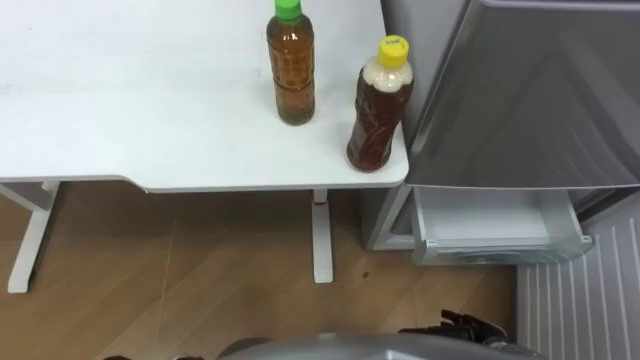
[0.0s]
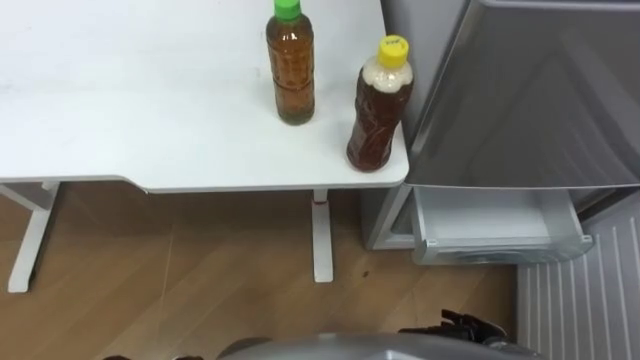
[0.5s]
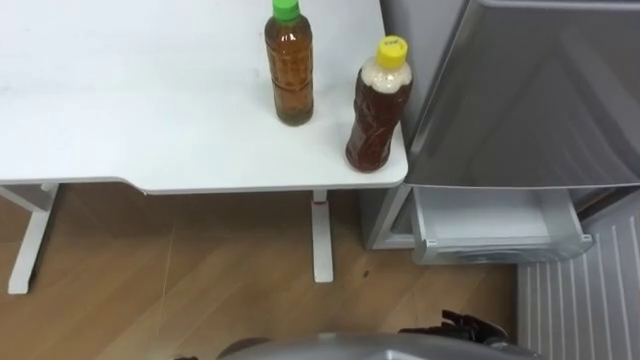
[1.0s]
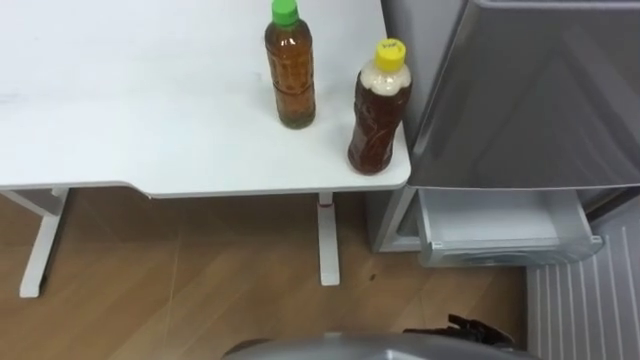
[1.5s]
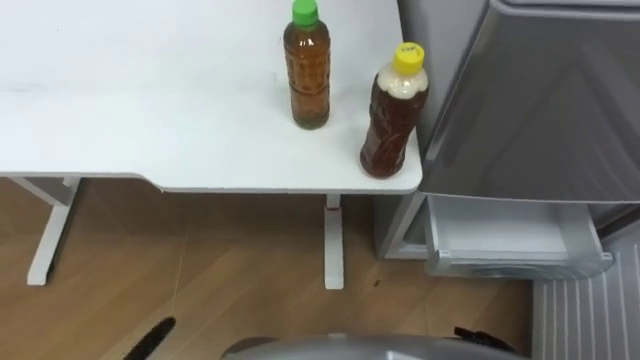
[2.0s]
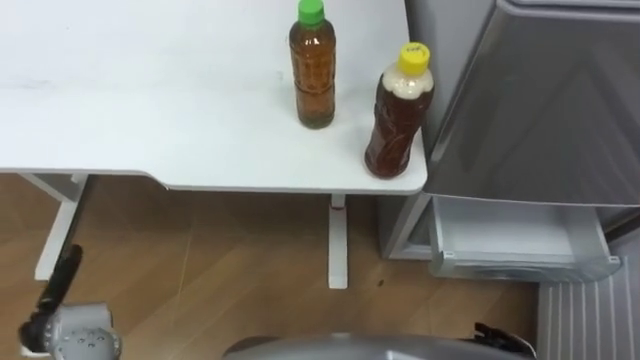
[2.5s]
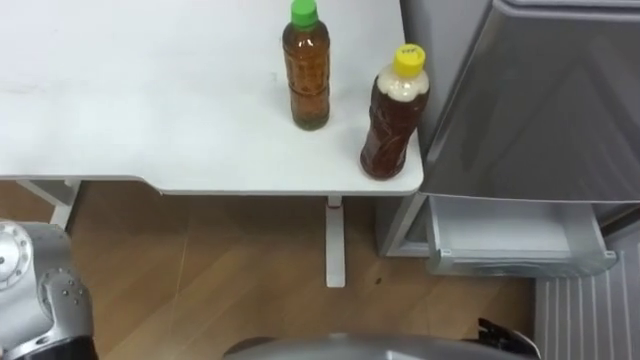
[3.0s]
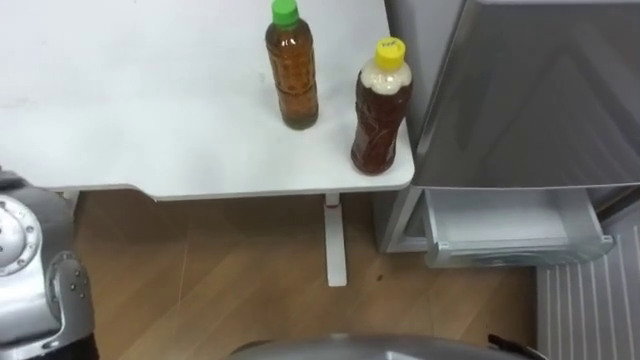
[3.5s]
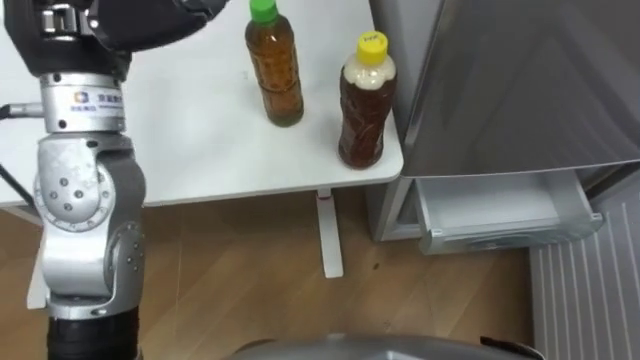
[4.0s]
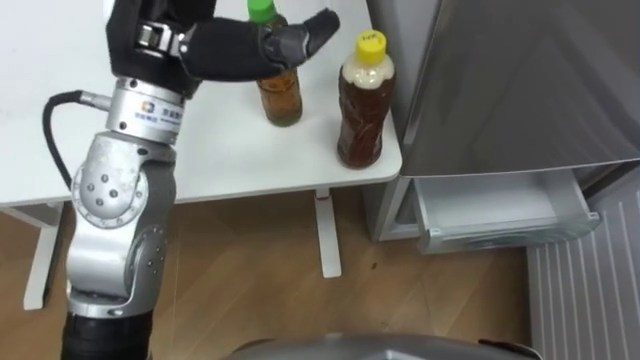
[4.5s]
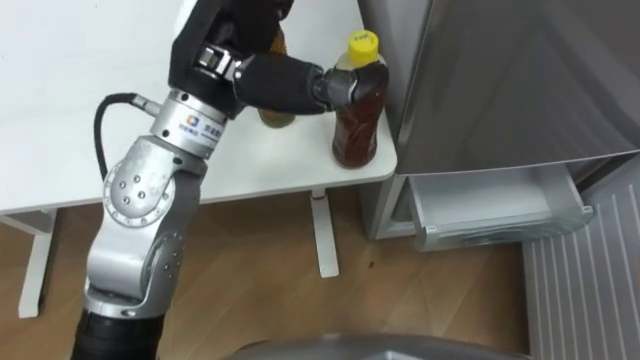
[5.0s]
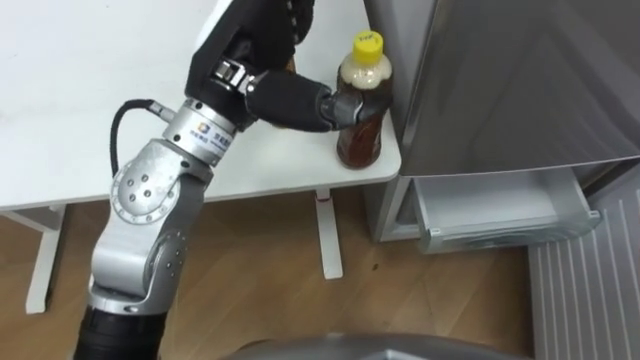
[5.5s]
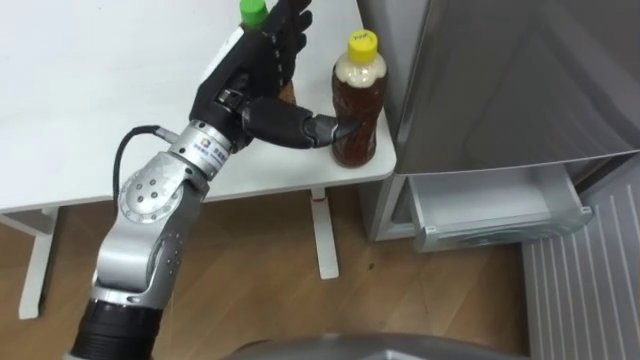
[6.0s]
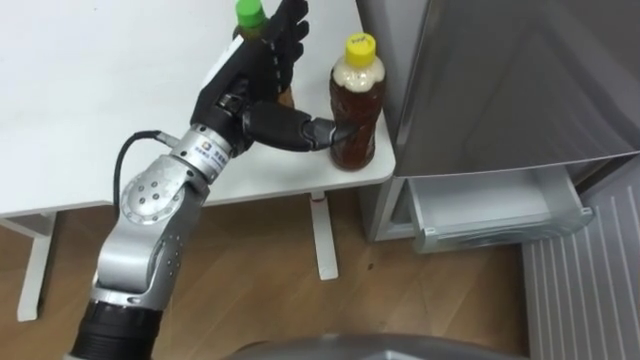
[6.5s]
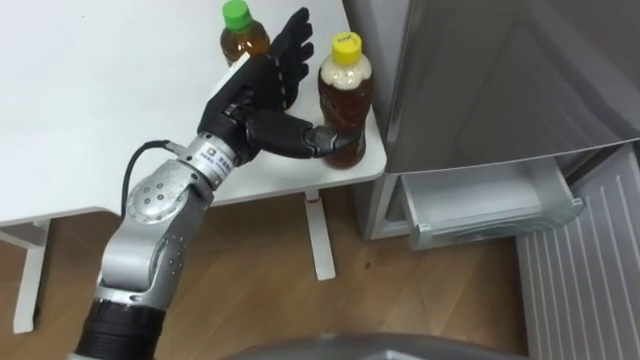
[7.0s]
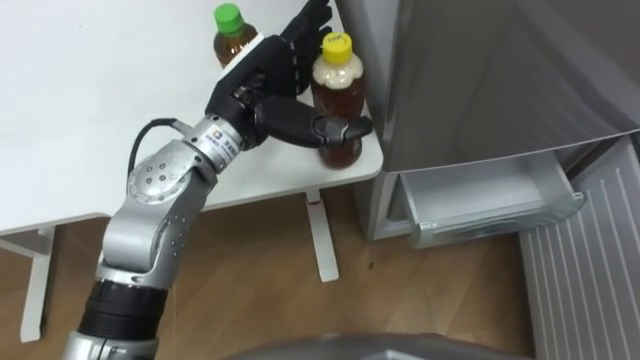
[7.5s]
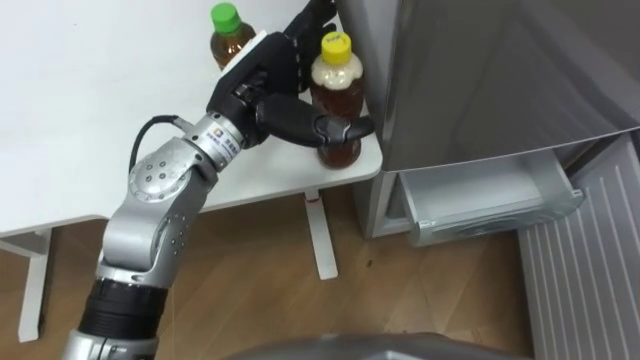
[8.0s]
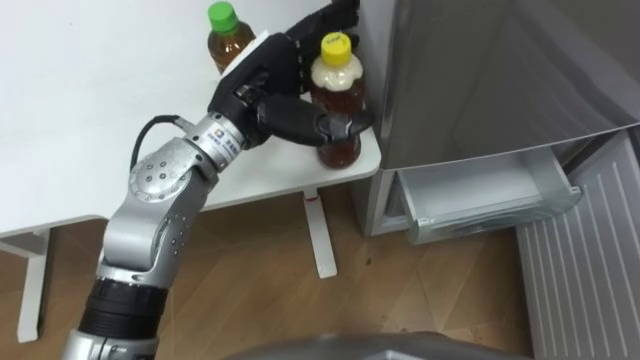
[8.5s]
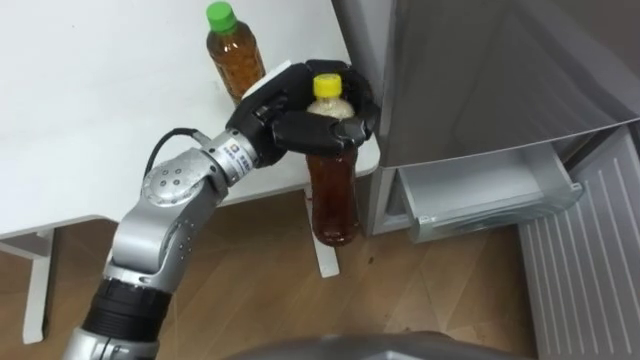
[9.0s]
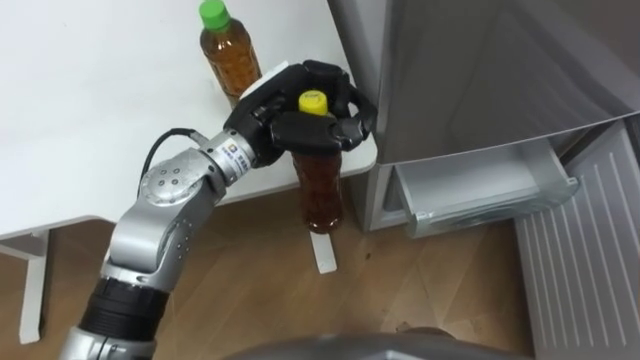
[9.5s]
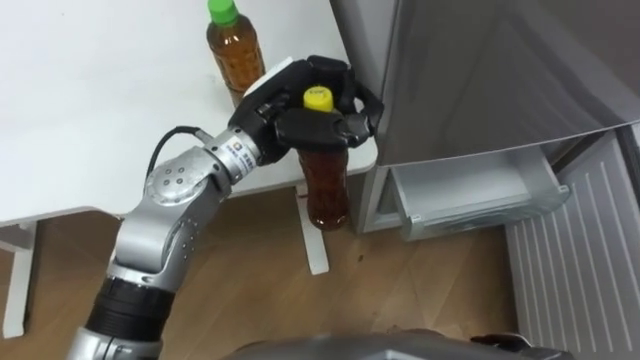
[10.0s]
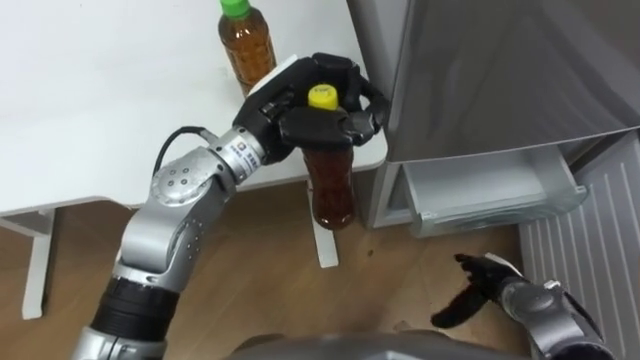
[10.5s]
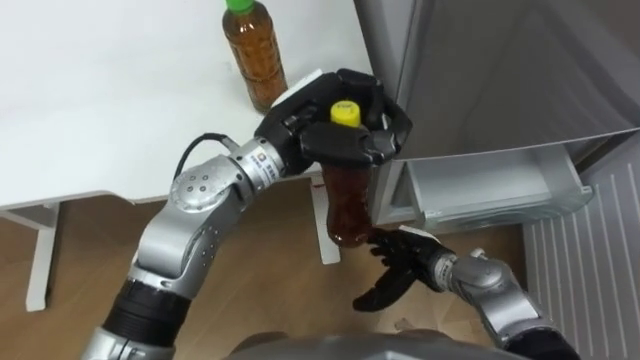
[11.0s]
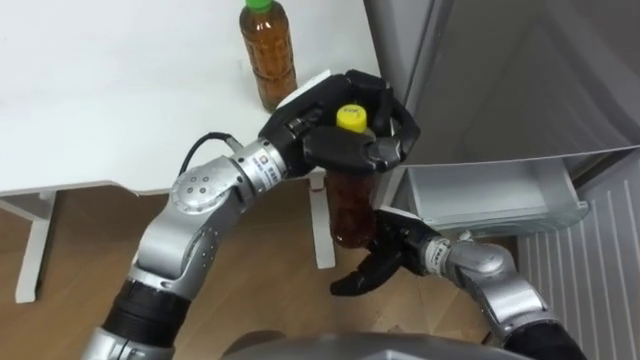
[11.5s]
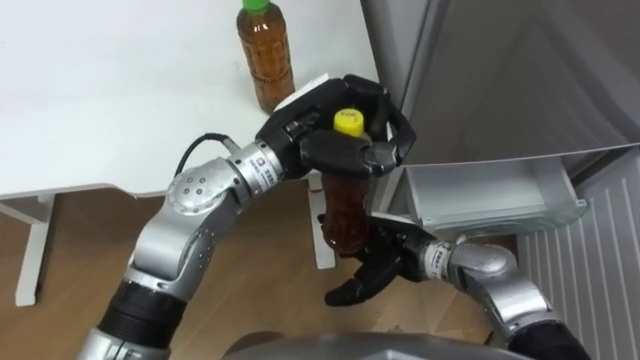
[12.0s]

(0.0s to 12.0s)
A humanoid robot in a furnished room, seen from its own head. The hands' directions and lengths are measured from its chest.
Task of the whole recording: Place the drink on the table on the bottom shelf of the refrigerator, then close the drawer and the refrigerator door.
4.0s - 6.0s: The left hand travels downward and to the right by approximately 15 cm.
8.0s - 10.0s: The left hand closes its fingers.
10.0s - 12.0s: The right hand travels to the left, forward and upward by approximately 25 cm.

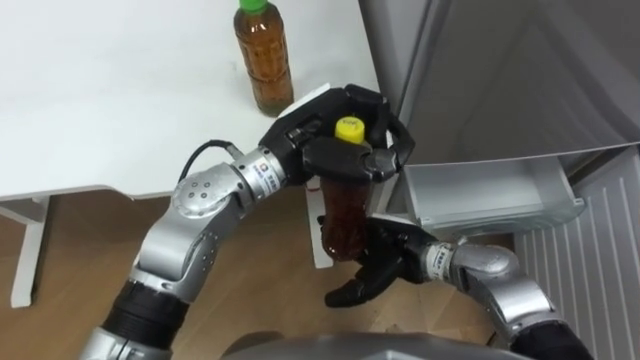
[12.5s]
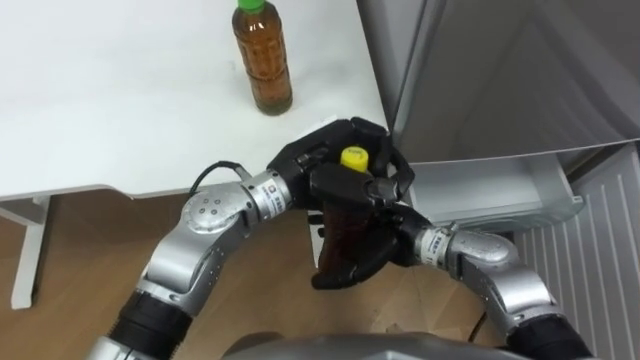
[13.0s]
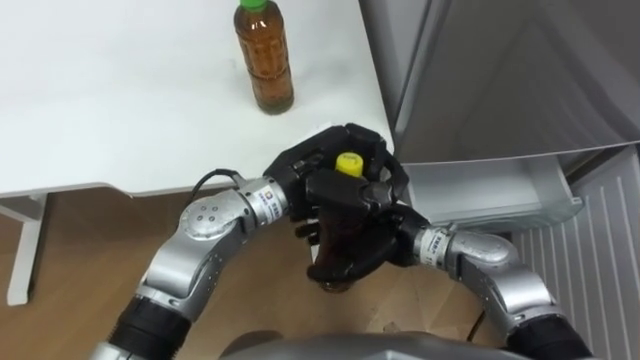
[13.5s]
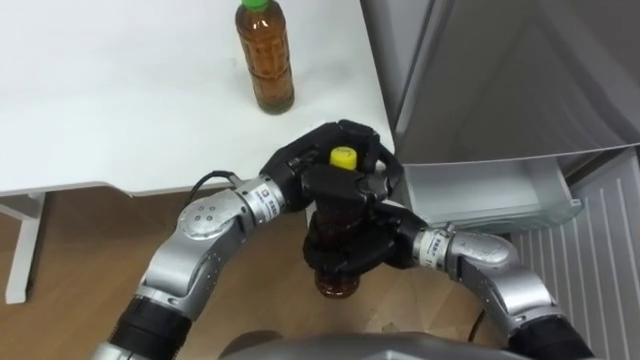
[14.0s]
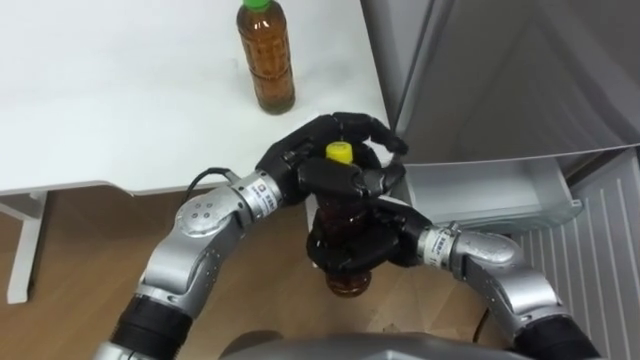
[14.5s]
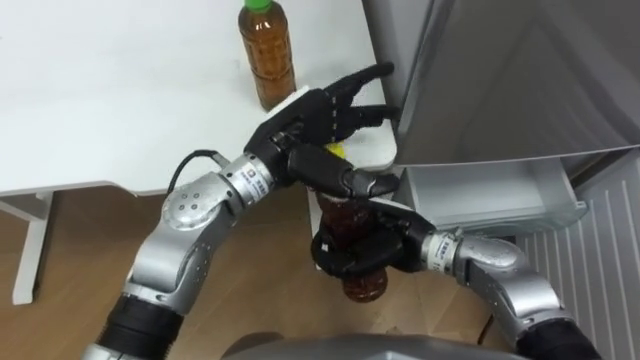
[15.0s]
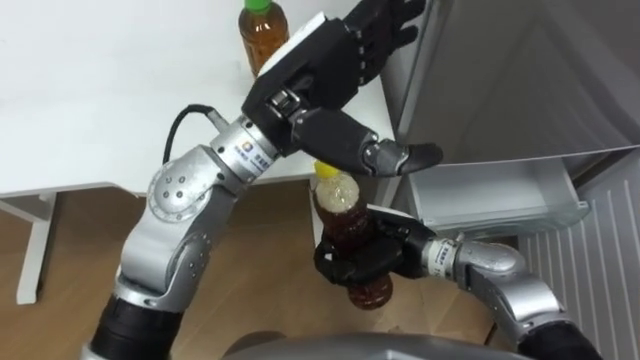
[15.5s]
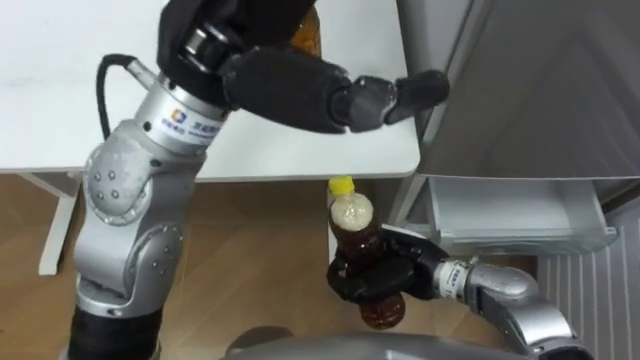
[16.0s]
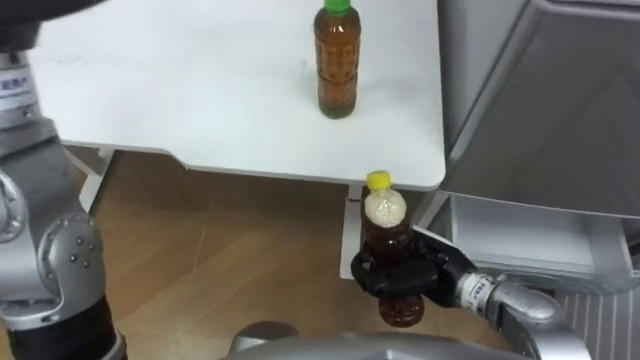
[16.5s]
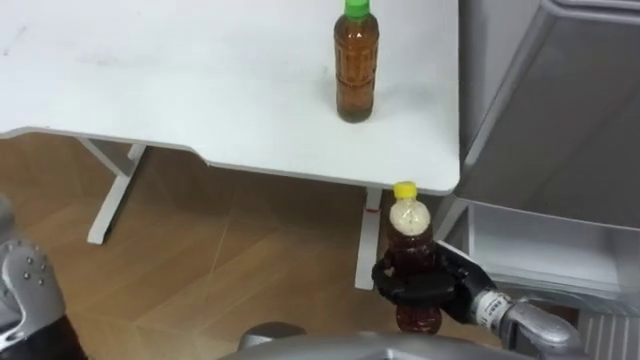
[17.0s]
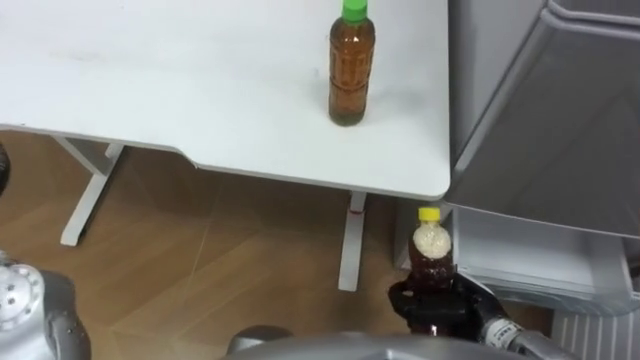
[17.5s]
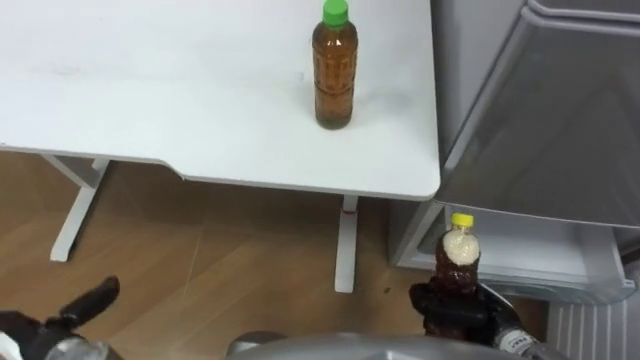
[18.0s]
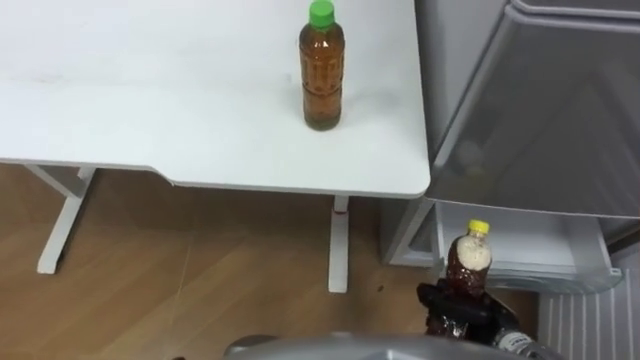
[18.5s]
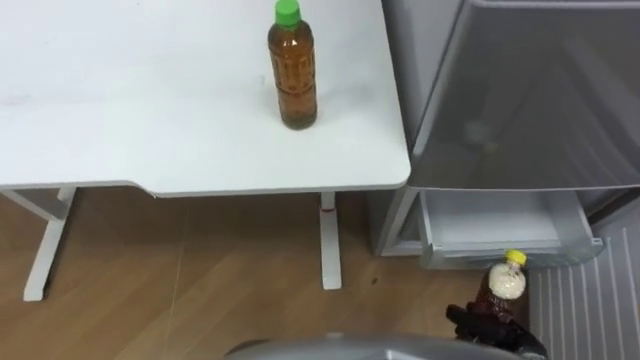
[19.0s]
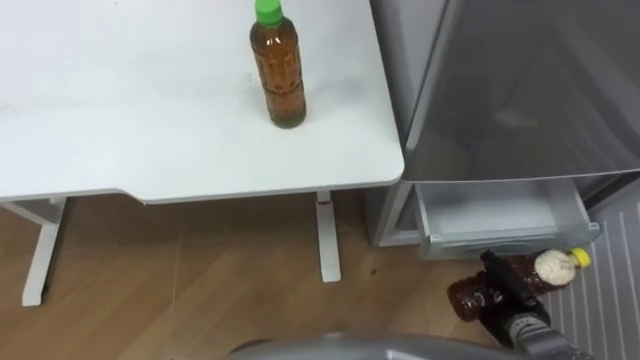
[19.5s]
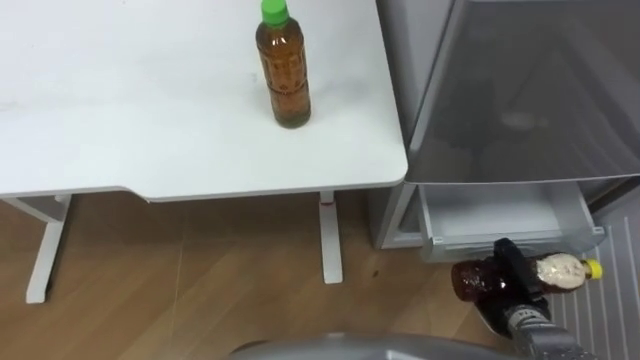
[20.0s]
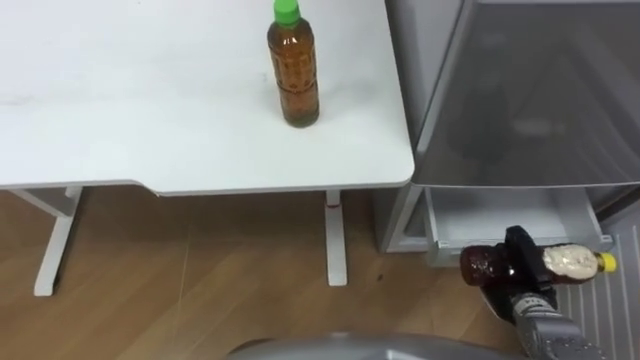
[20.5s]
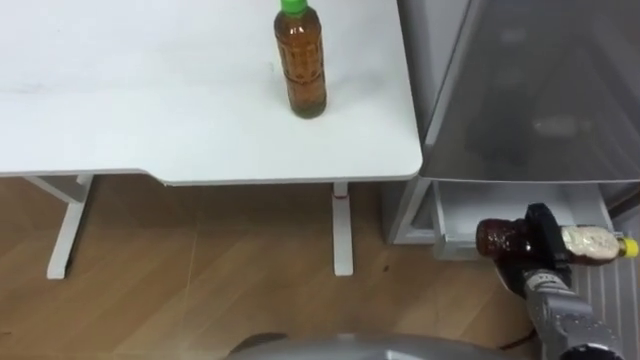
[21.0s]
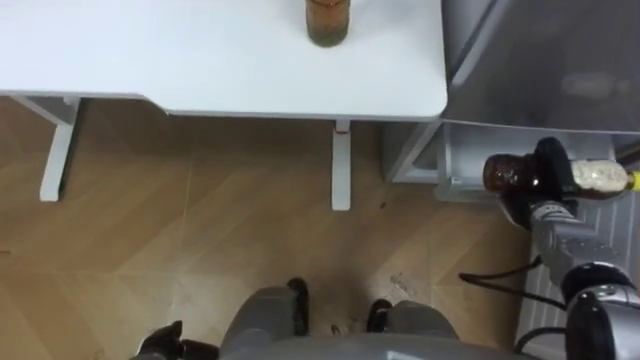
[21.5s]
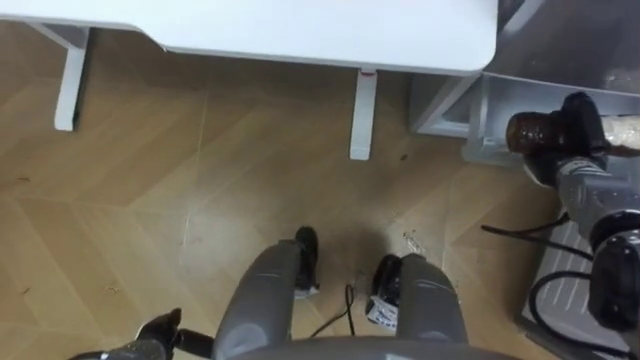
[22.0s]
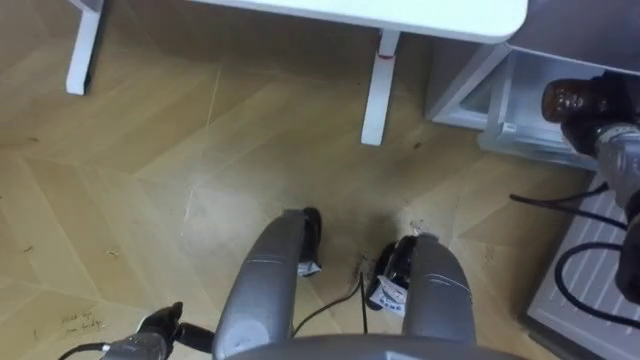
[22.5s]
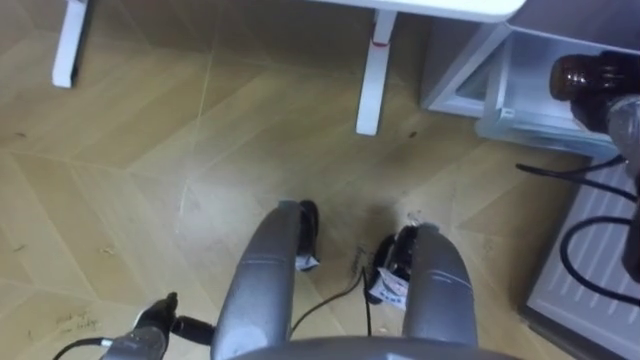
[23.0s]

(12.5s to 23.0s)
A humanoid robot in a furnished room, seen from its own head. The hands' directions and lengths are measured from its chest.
Task of the whole recording: Place the drink on the table on the bottom shelf of the refrigerator, then close the drawer and the refrigerator door.
12.5s - 14.5s: The right hand closes up.
14.5s - 16.5s: The right hand moves to the right, approximately 5 cm.
16.5s - 19.0s: The right hand shifts roughly 20 cm to the right, backward and downward.
19.0s - 21.0s: The right hand goes roughly 10 cm forward.
21.0s - 23.0s: The right hand travels forward and upward by about 25 cm.
